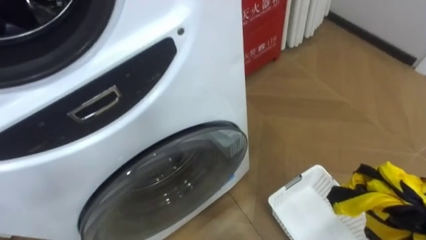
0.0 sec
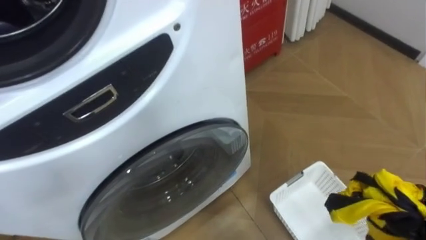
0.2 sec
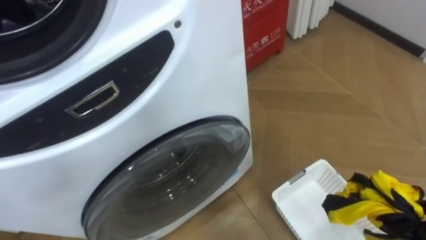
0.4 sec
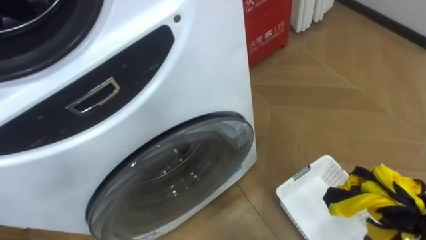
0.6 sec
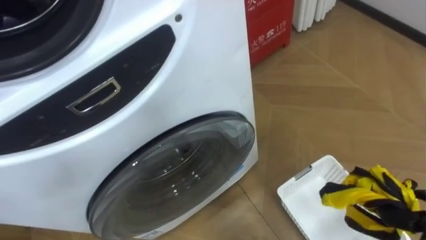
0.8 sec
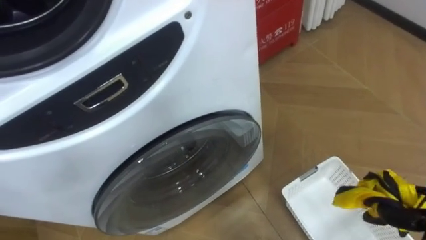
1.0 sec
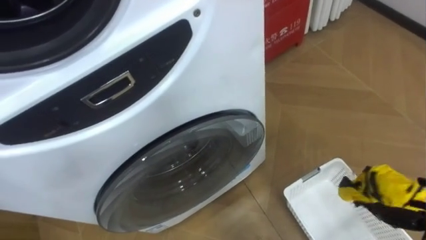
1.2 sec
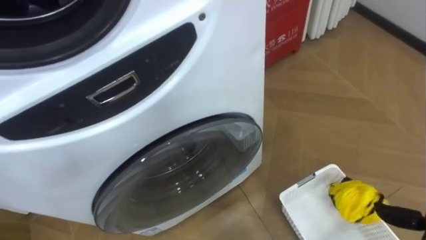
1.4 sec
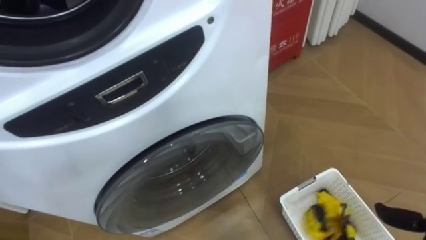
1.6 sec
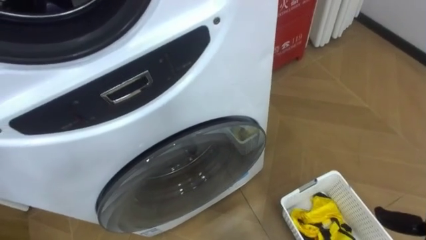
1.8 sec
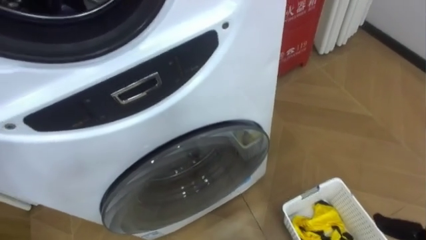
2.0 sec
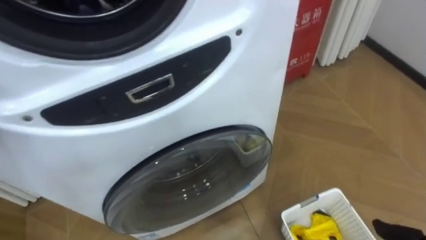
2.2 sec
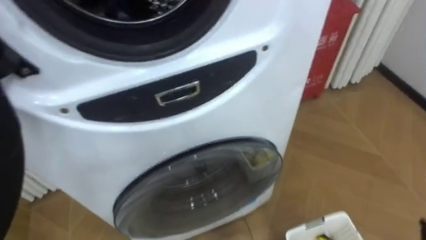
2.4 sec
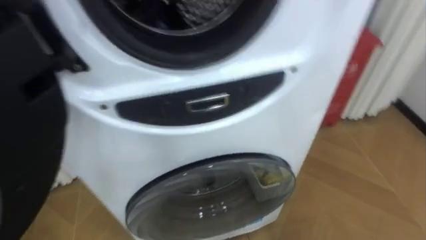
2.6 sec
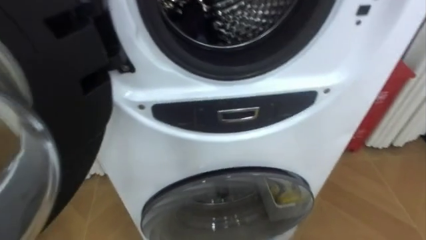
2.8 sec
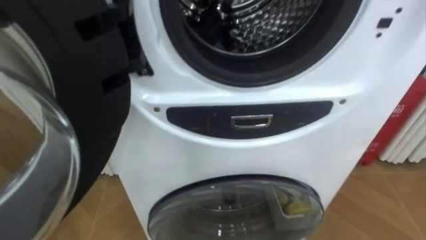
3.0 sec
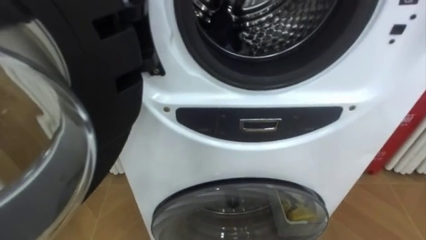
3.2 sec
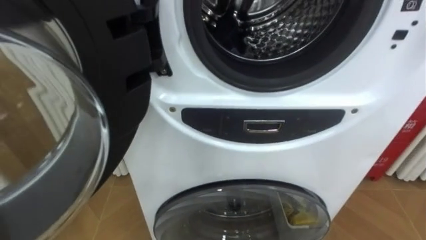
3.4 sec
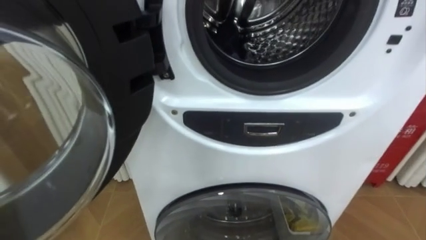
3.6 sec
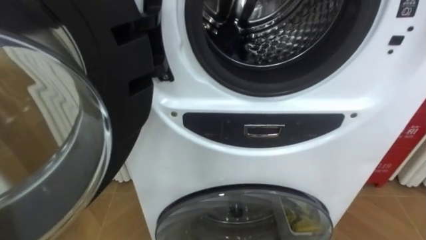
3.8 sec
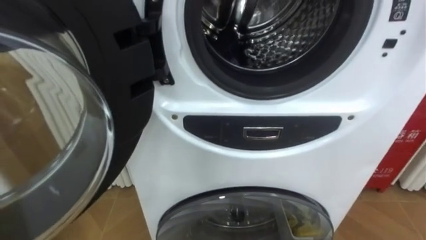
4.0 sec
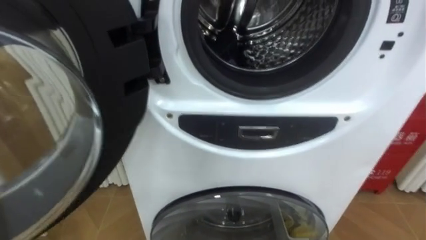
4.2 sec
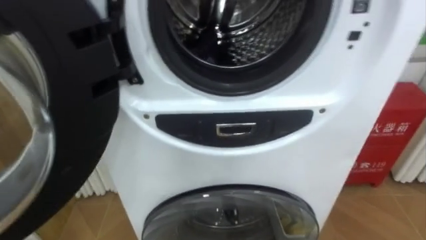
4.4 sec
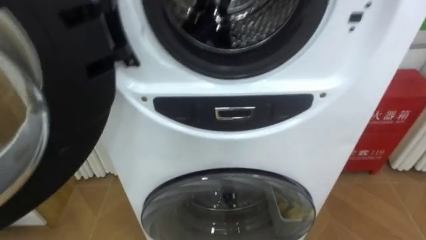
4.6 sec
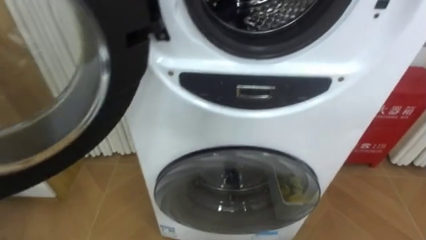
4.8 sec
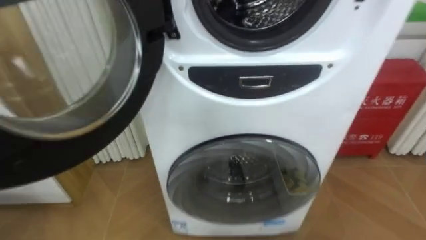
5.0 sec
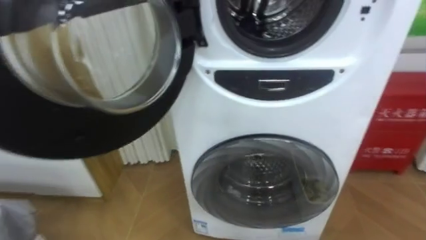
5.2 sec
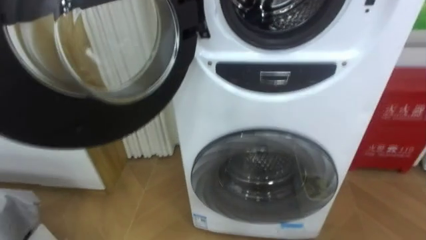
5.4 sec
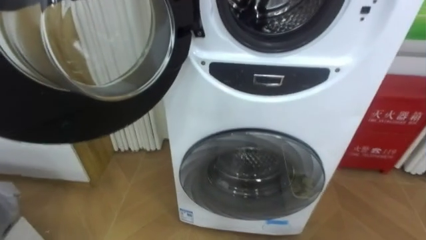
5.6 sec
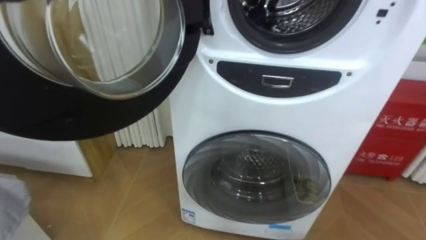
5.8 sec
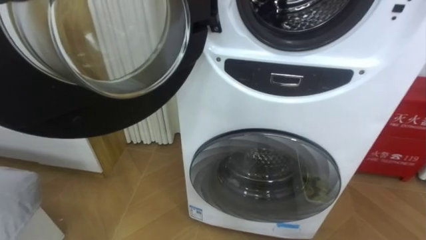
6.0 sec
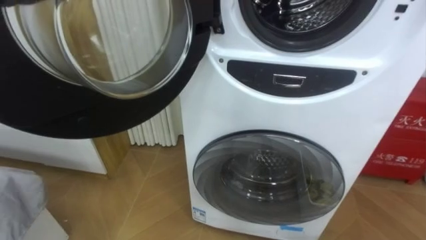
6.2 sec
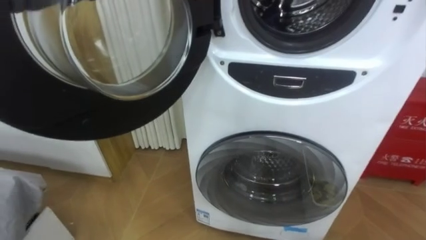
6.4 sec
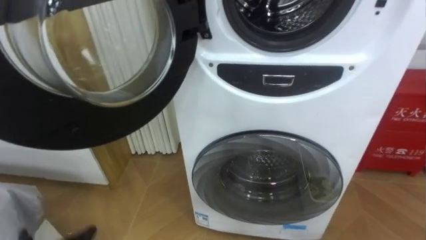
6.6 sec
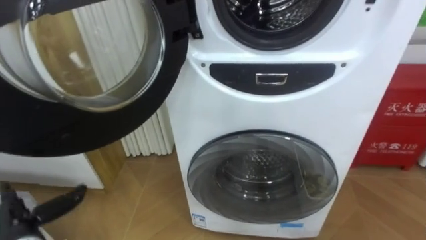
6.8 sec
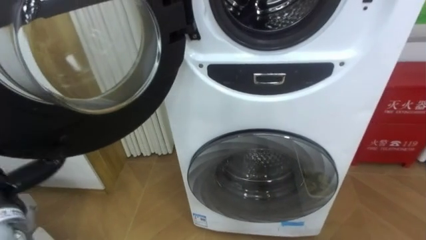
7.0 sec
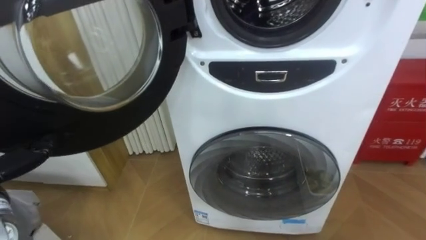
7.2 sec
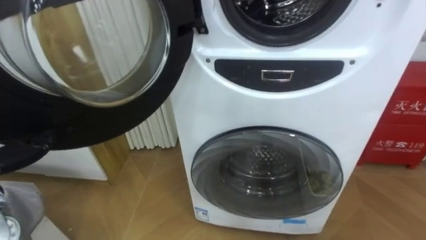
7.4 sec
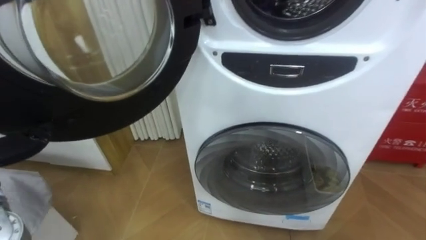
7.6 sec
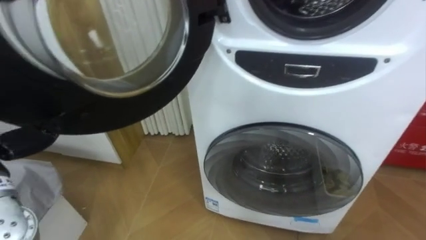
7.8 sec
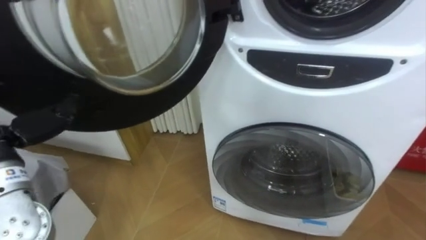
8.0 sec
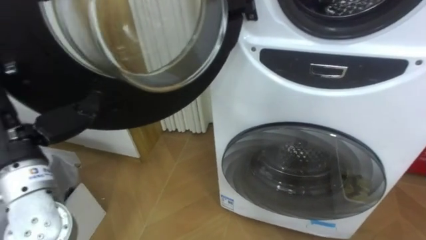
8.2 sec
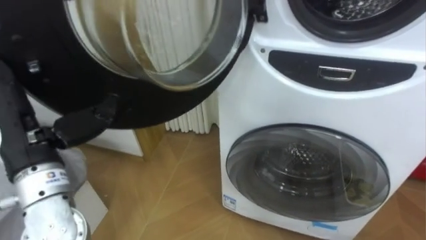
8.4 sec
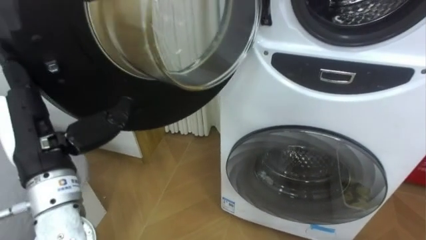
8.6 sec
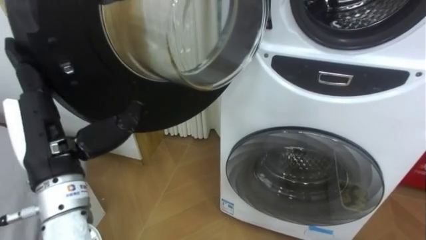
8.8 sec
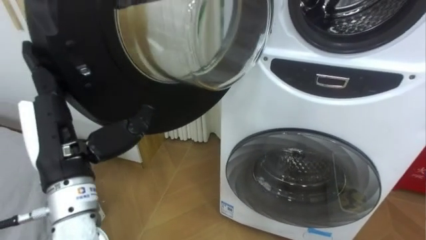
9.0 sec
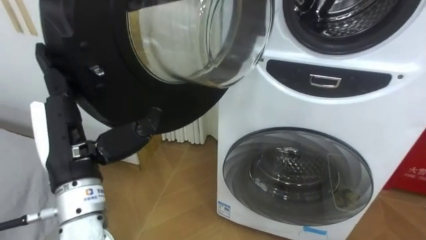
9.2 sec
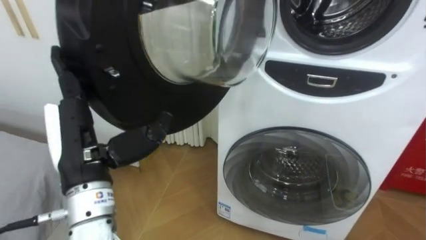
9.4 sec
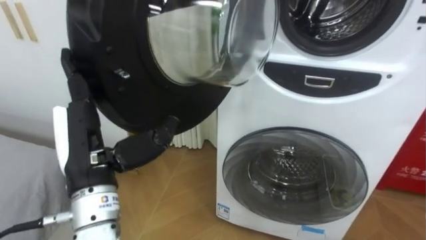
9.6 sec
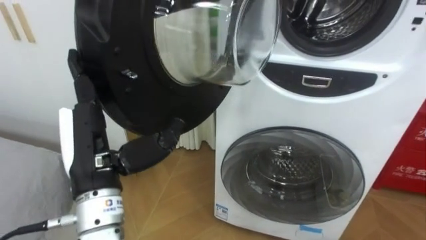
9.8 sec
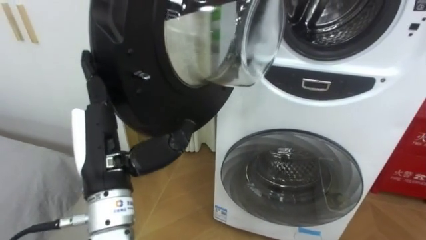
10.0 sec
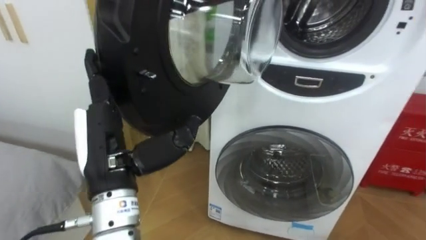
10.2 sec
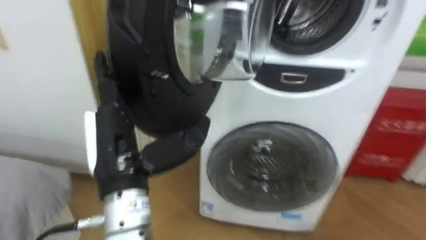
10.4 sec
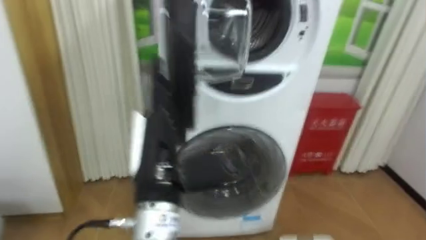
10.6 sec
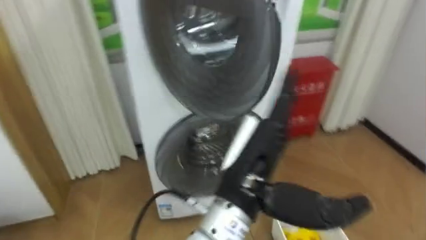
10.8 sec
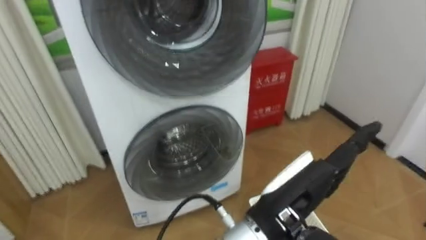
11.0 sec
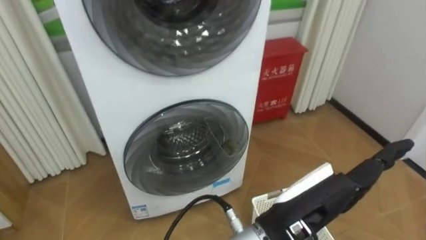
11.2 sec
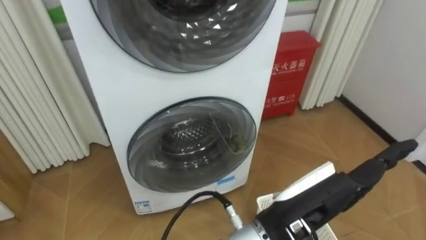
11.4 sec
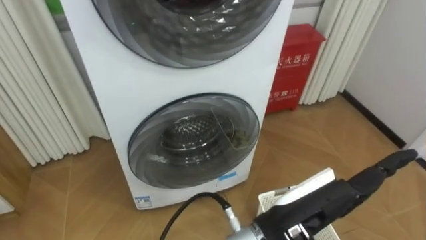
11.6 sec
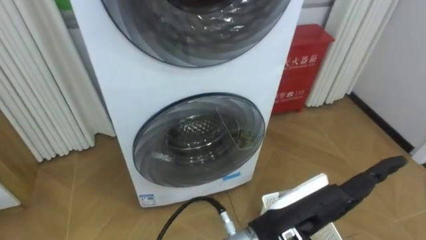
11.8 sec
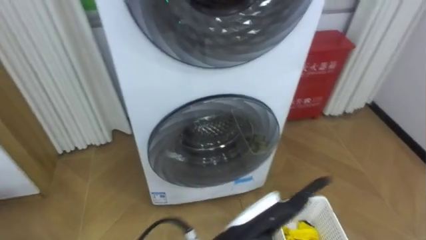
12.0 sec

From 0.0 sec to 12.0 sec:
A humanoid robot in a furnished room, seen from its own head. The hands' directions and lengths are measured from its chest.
Task of the whole recording: Open the washing machine door, take out the yellow clothes, place them in the box on the right, and close the washing machine door.
From 9.0 sec to 10.4 sec: The left hand moves to the right, some 5 cm.
From 10.4 sec to 12.0 sec: The robot rotates approximately 15 degrees to its right. The left hand moves to the right and downward, about 20 cm.

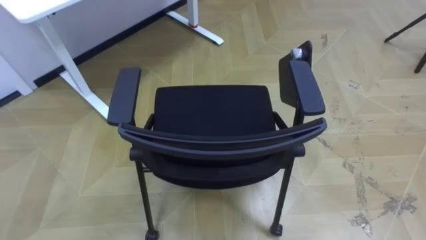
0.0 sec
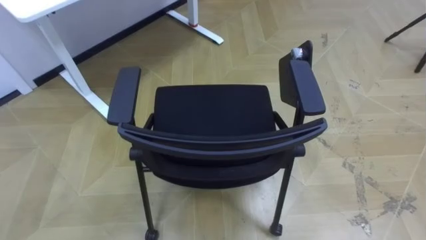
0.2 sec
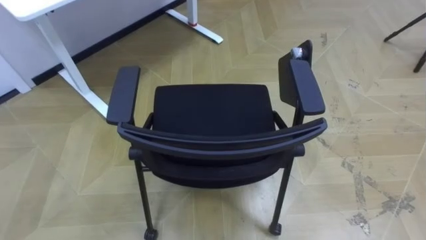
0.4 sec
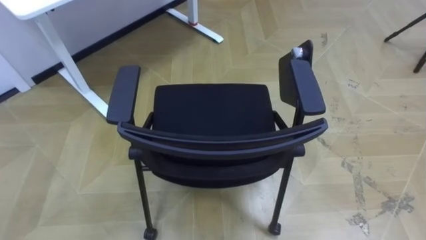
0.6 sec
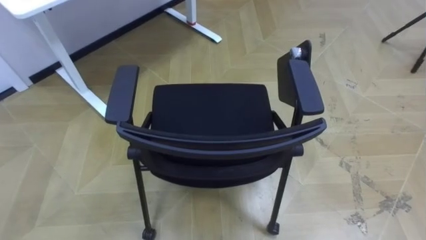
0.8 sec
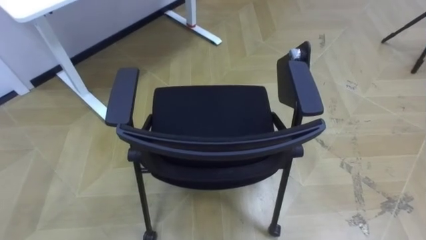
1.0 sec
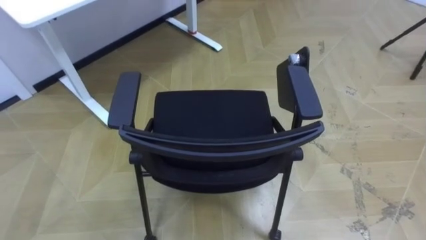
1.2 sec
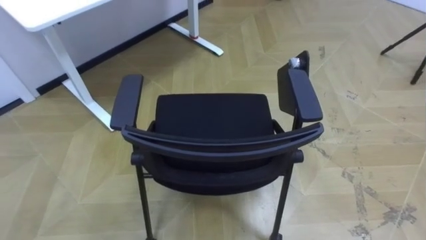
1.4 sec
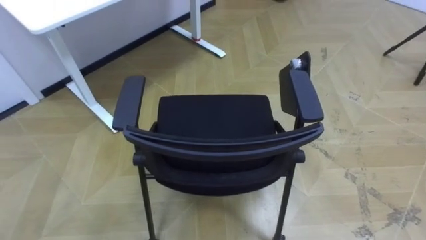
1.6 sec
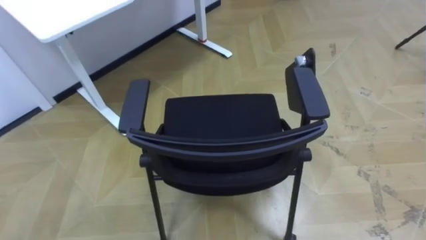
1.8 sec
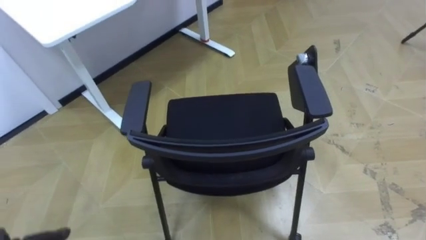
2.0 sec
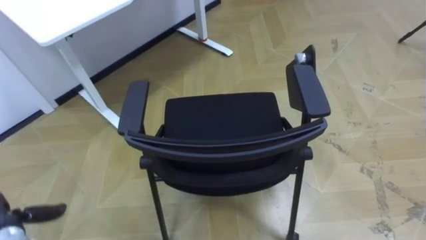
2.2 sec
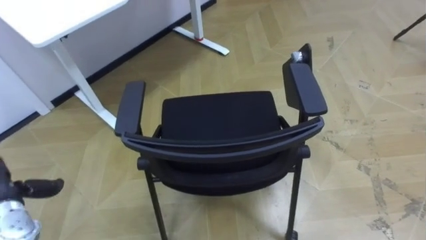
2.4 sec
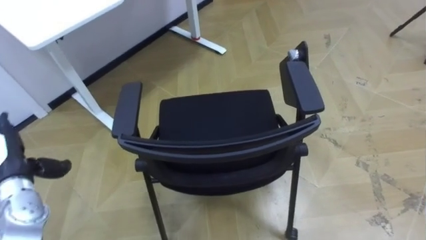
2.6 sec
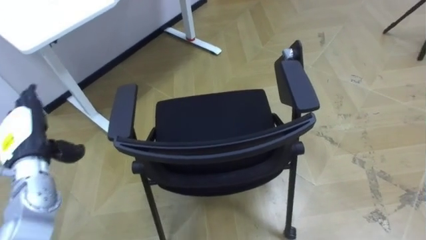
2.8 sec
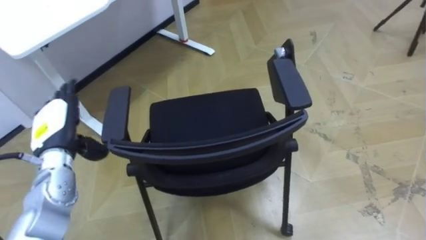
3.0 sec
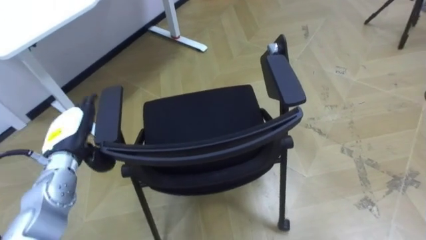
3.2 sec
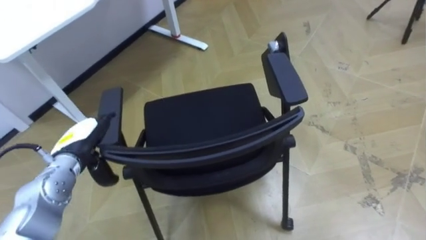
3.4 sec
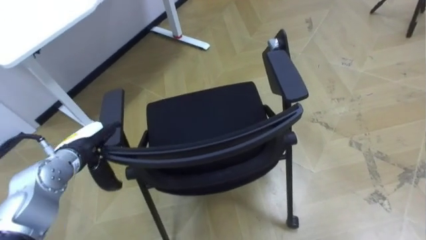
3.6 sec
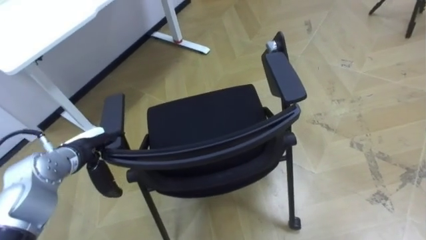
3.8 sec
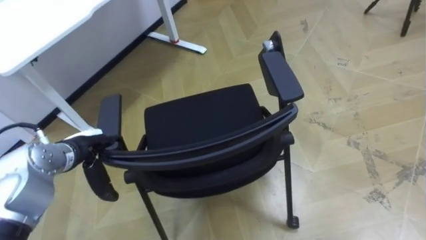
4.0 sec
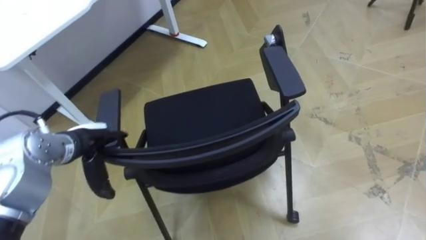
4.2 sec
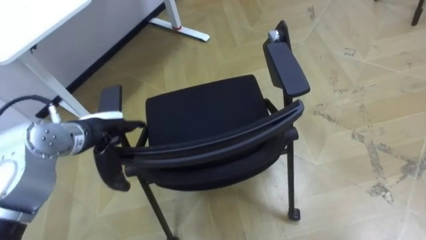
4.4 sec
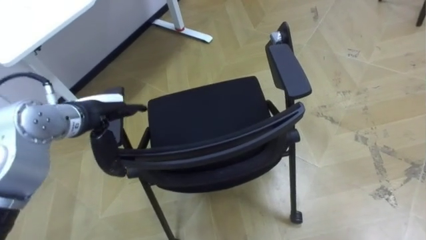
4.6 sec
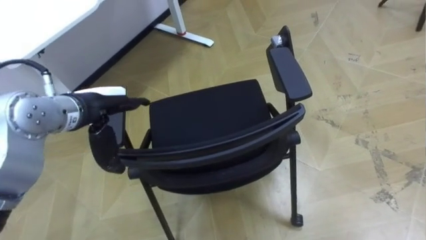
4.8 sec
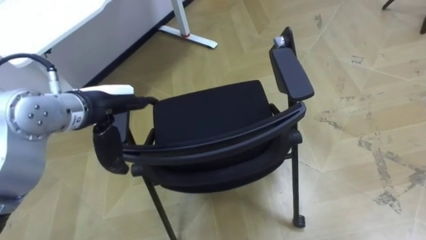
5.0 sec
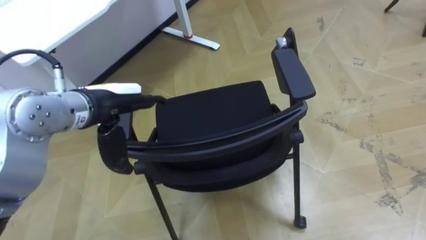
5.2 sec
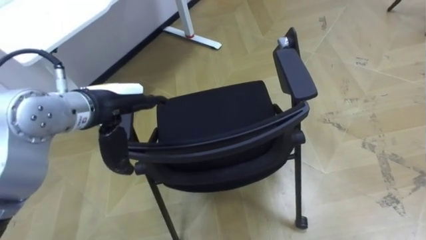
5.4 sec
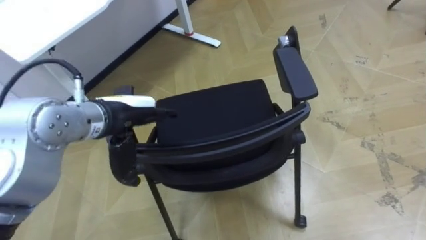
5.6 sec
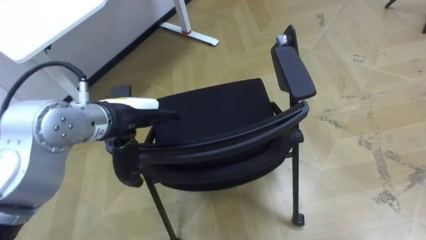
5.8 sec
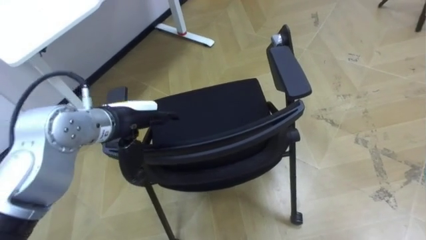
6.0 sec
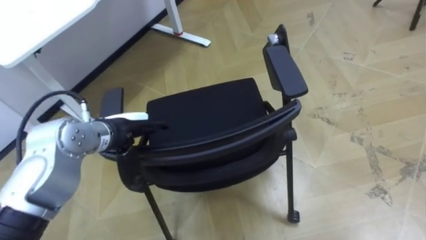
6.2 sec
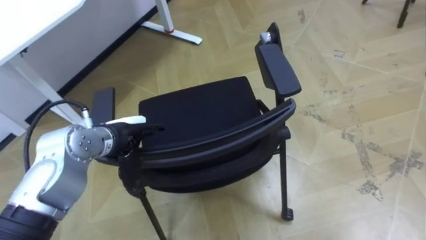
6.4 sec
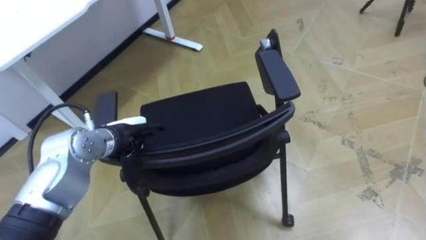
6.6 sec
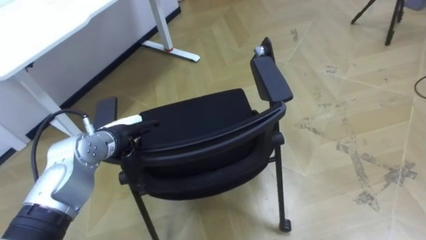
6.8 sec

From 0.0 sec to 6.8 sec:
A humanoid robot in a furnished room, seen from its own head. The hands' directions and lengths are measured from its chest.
Task of the whole recording: Push the chair under the table.
From 2.8 sec to 4.0 sec: The left hand goes some 10 cm to the right.
From 4.0 sec to 5.4 sec: The left hand goes some 15 cm upward and to the right.
From 5.4 sec to 6.8 sec: The left hand is displaced downward by some 15 cm.
